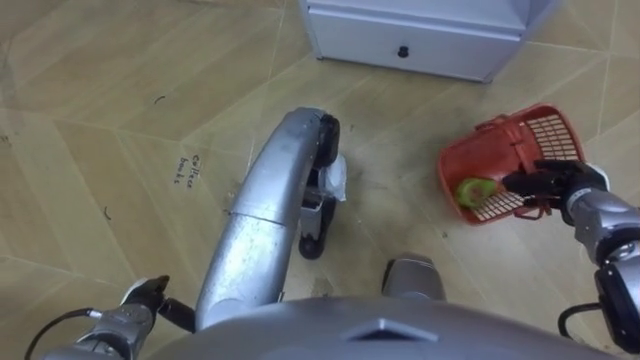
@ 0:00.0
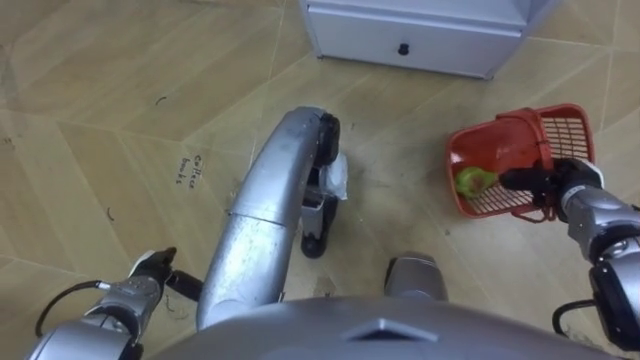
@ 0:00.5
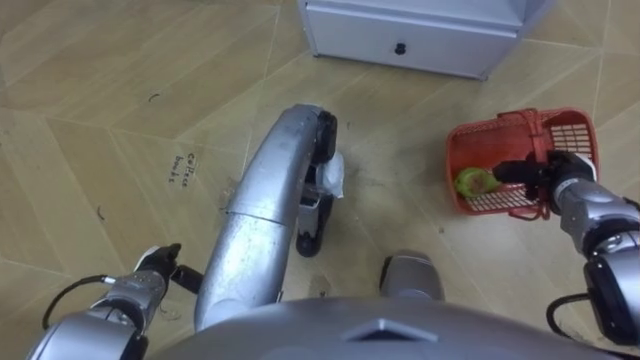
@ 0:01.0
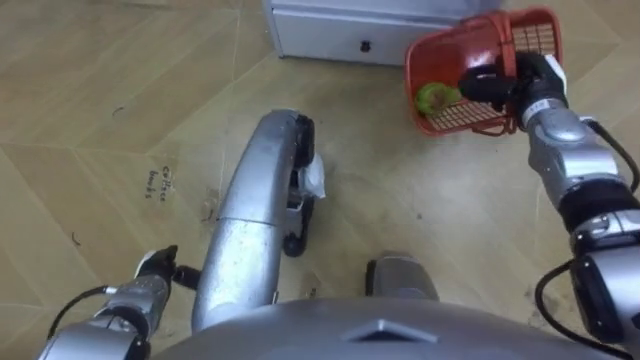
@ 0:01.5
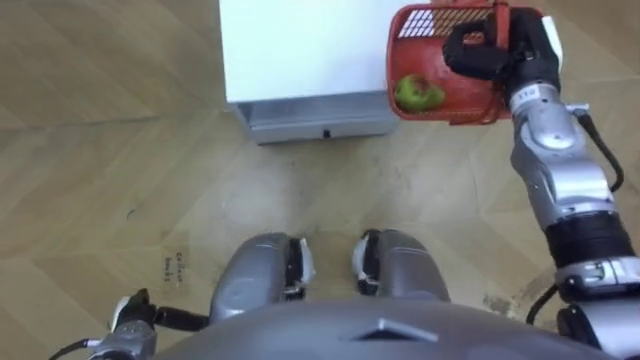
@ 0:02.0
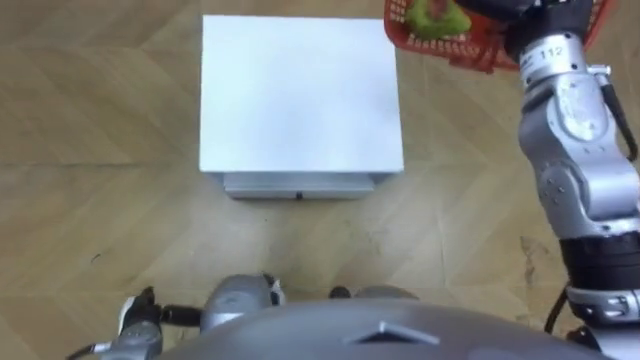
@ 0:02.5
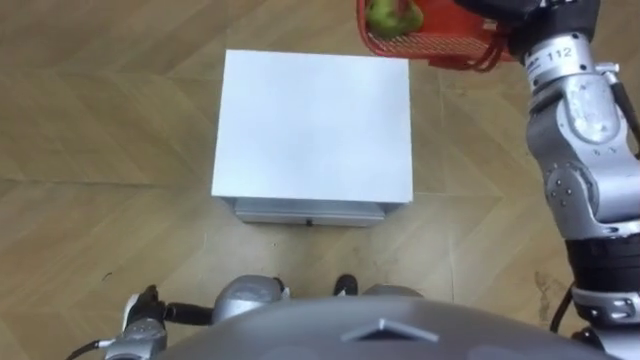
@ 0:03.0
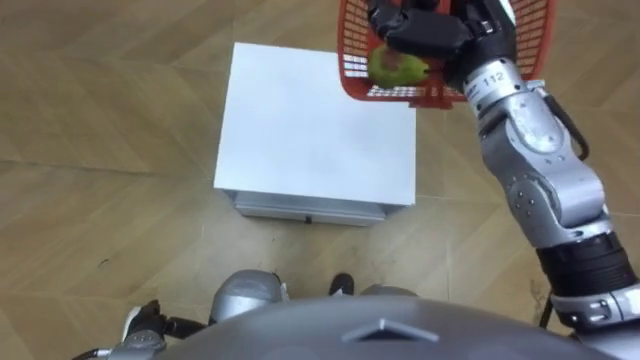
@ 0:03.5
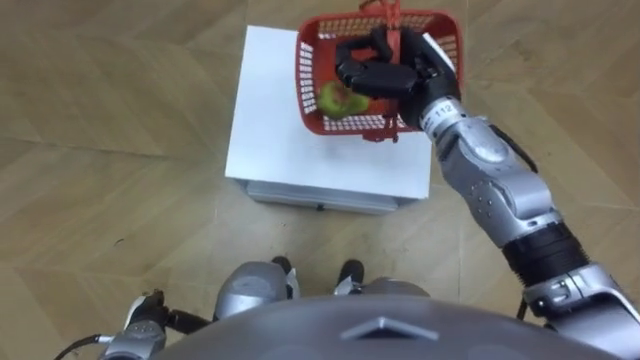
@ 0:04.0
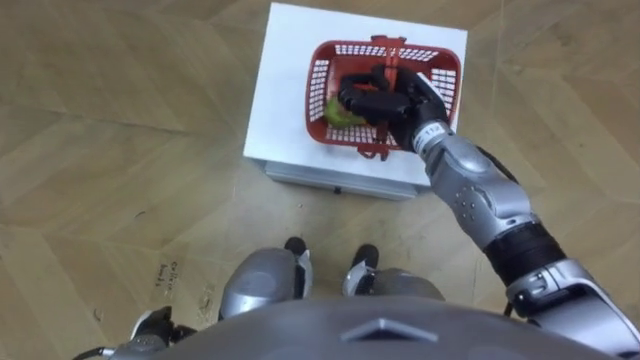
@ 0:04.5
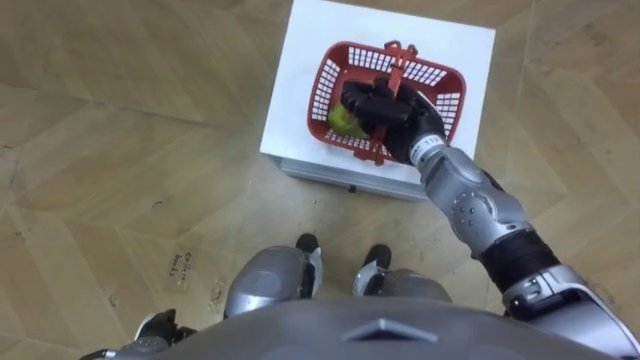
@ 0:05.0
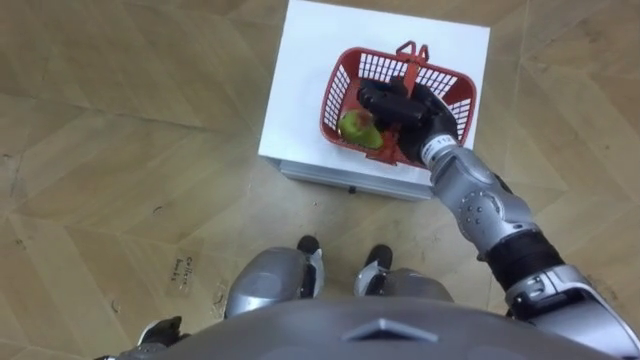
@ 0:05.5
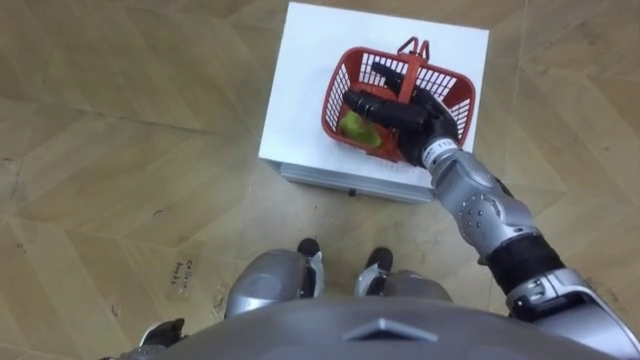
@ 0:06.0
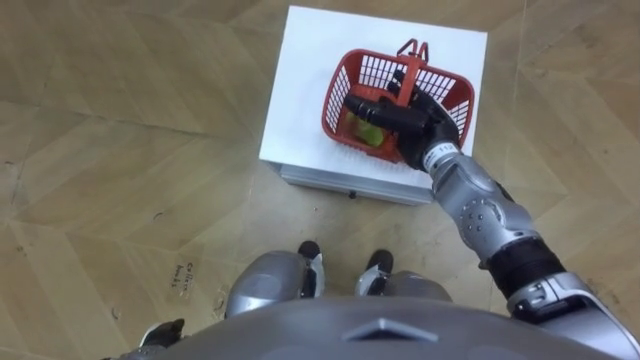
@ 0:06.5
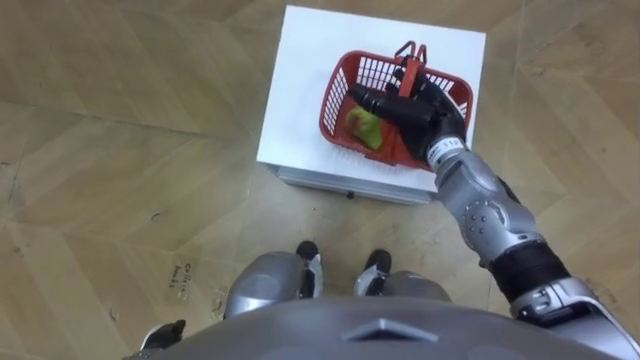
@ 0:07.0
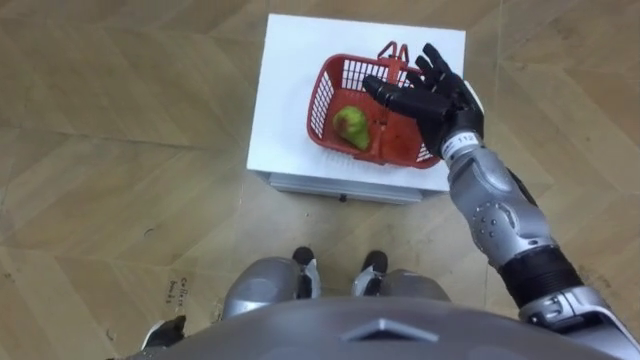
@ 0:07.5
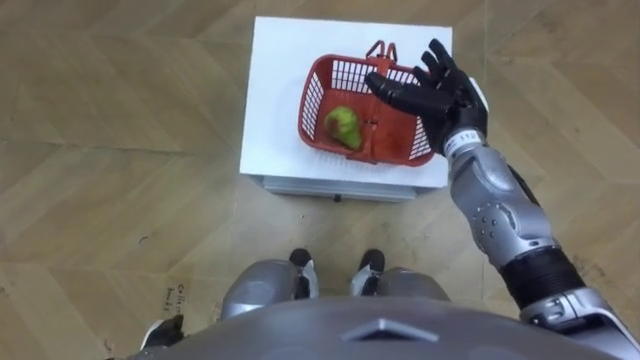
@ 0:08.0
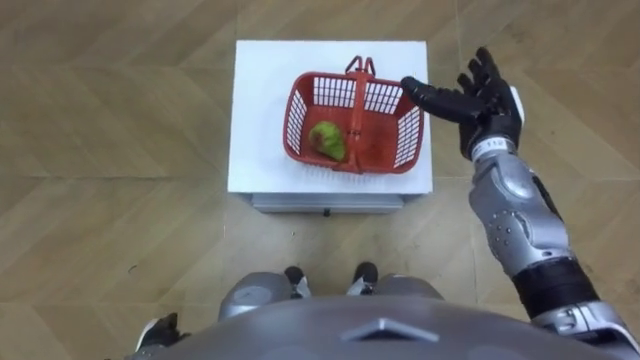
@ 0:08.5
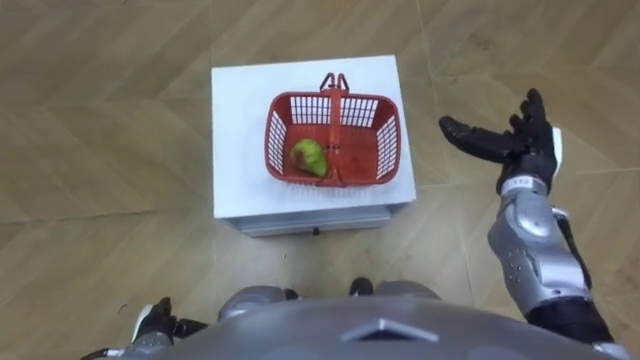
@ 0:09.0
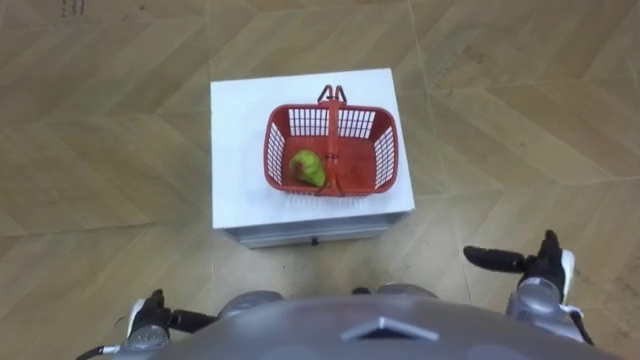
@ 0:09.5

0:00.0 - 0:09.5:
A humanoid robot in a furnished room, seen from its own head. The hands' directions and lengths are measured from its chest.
Task of the whole recording: Pick up the fruit basket from the floor and place it on the cabinet.
0:00.0 - 0:02.0: The robot's body swings roughly 15 degrees to its right. The left hand goes forward and returns, roughly 5 cm each way. Meanwhile the right hand travels upward, forward and to the left by approximately 20 cm.
0:04.0 - 0:05.5: The right hand shifts about 10 cm downward.
0:05.5 - 0:07.5: The right hand opens up.
0:07.5 - 0:09.5: The right hand goes approximately 25 cm backward, to the right and downward.

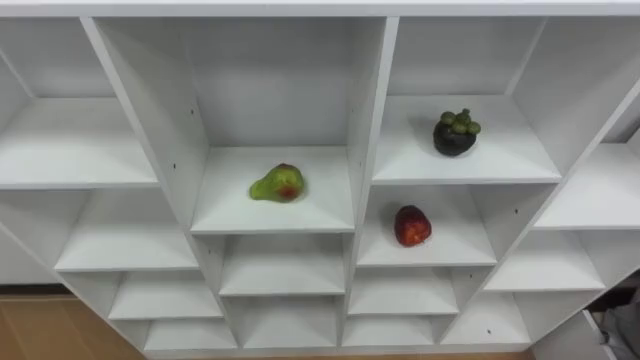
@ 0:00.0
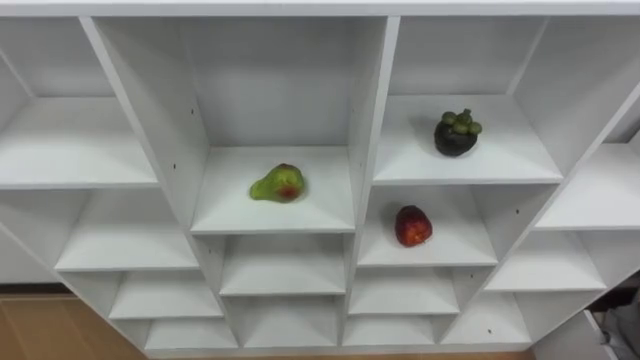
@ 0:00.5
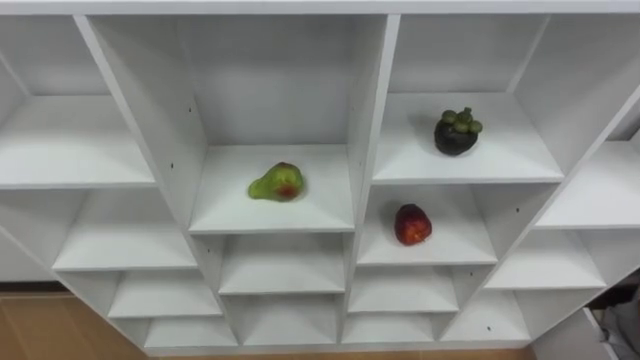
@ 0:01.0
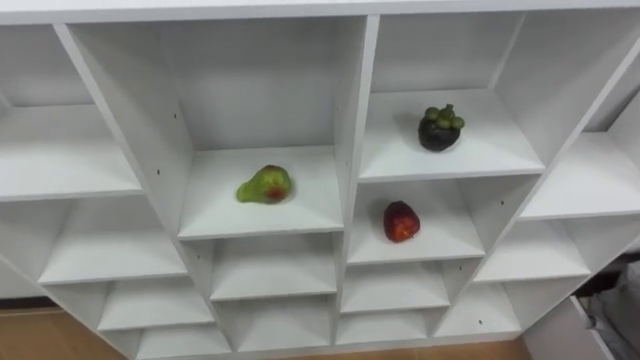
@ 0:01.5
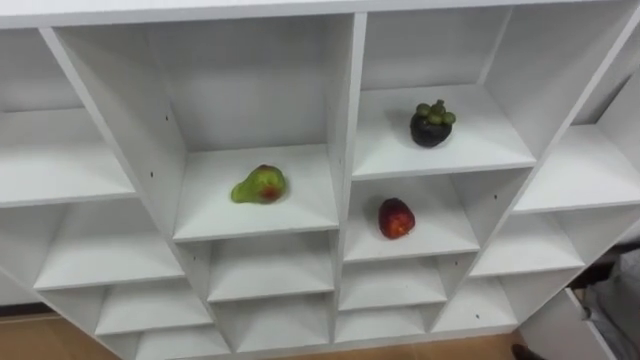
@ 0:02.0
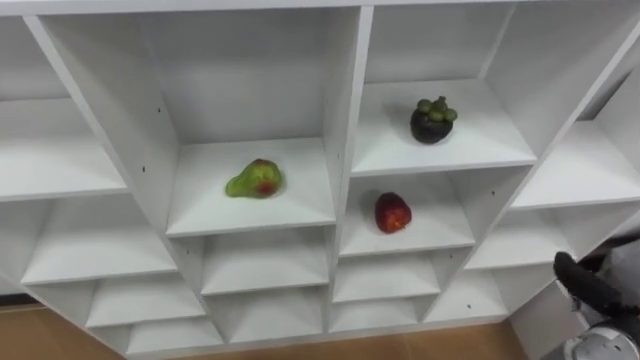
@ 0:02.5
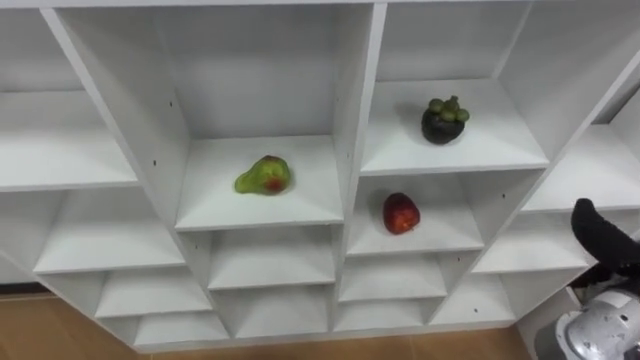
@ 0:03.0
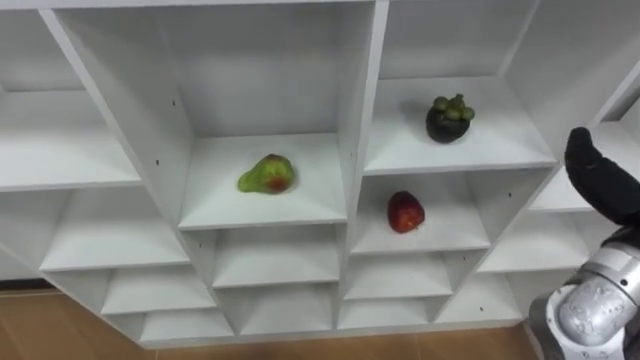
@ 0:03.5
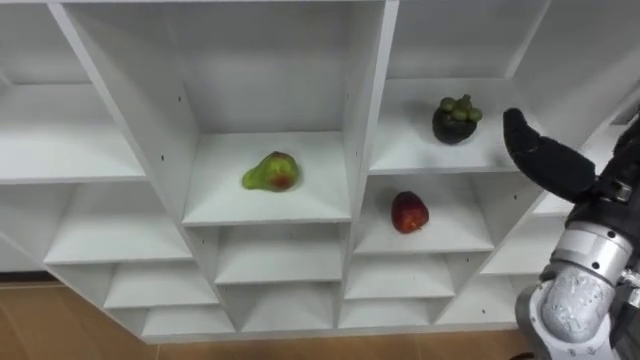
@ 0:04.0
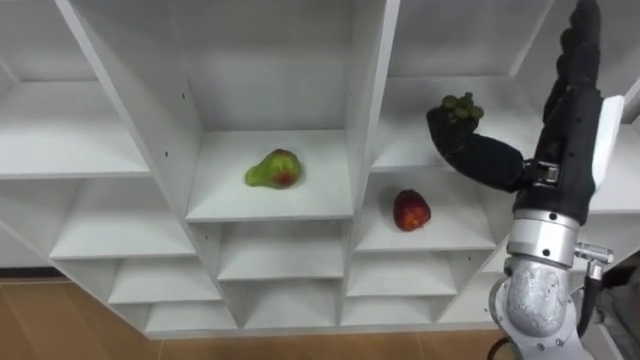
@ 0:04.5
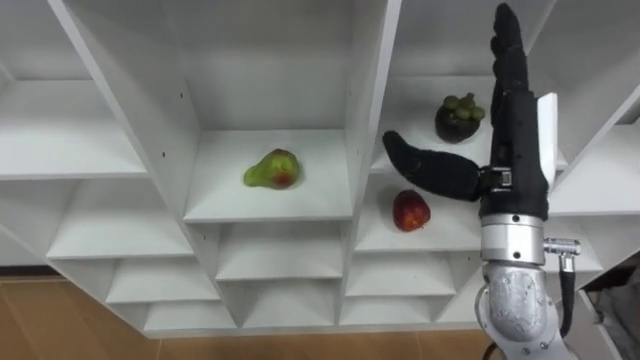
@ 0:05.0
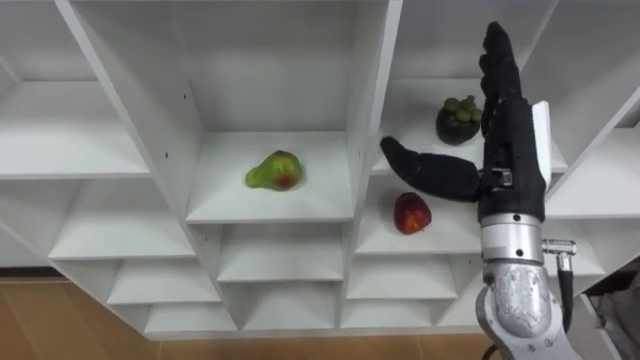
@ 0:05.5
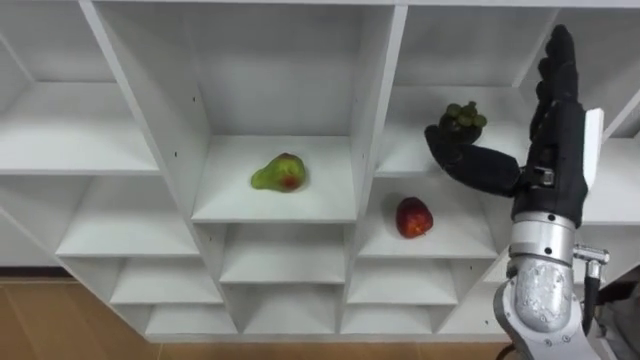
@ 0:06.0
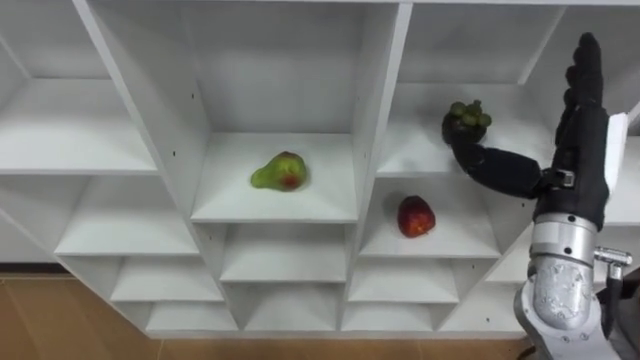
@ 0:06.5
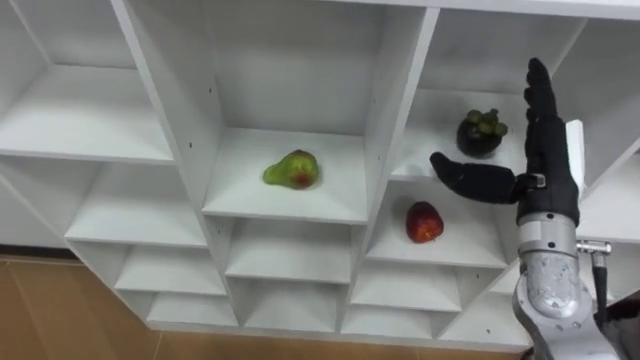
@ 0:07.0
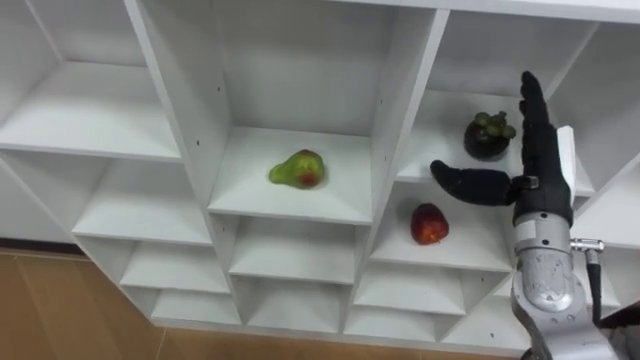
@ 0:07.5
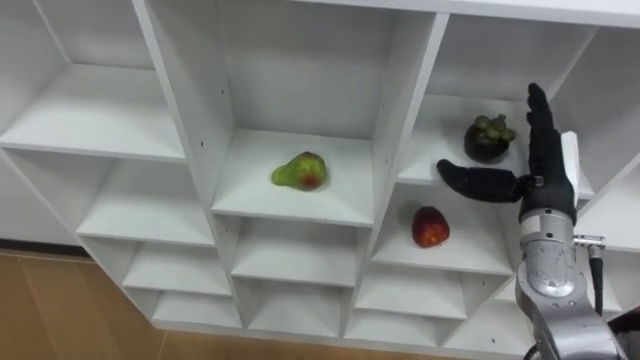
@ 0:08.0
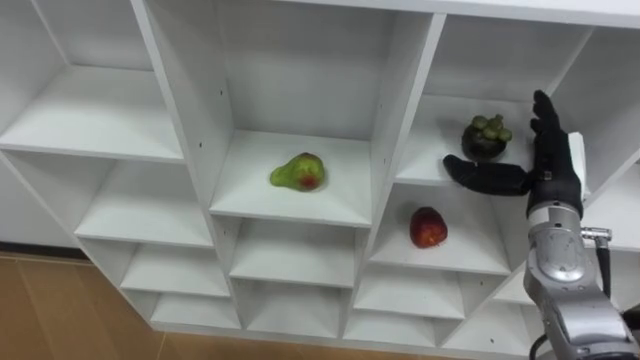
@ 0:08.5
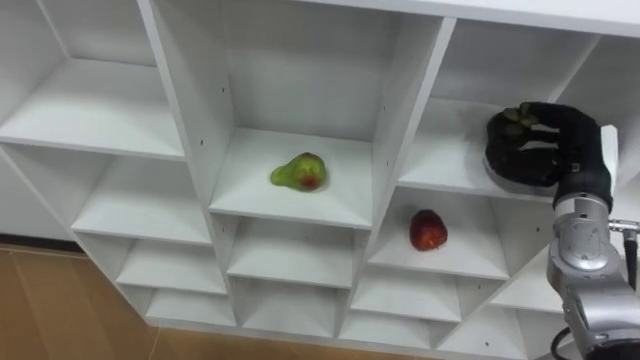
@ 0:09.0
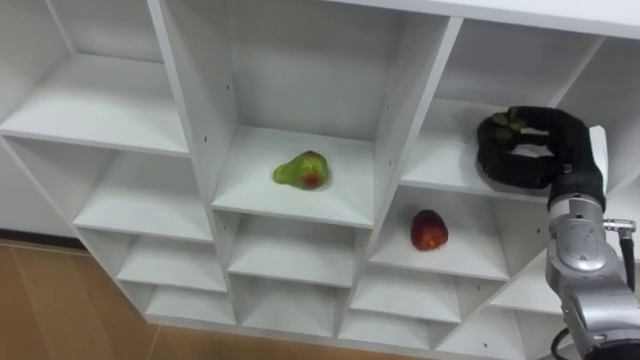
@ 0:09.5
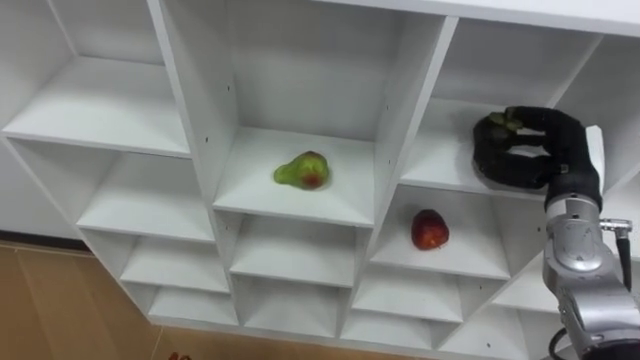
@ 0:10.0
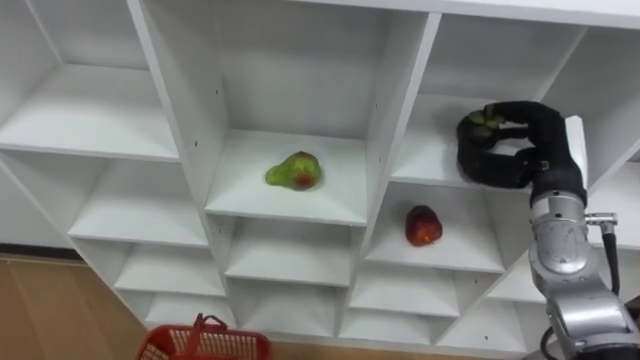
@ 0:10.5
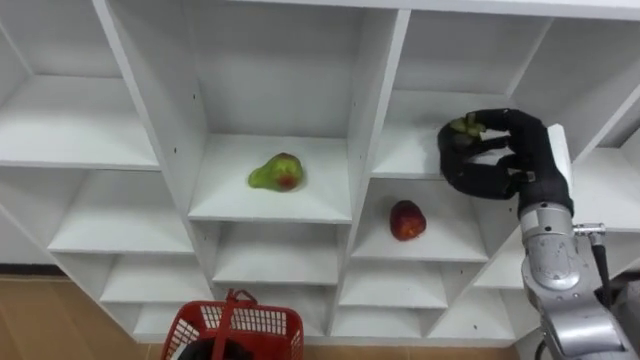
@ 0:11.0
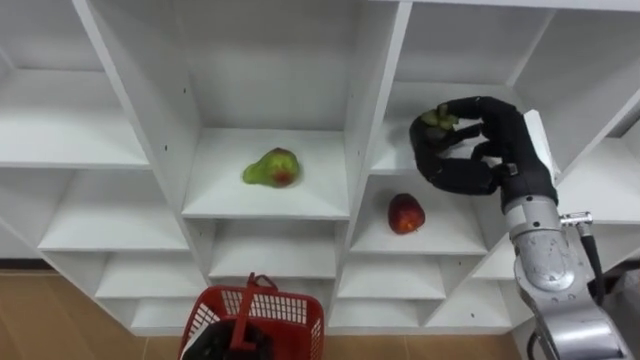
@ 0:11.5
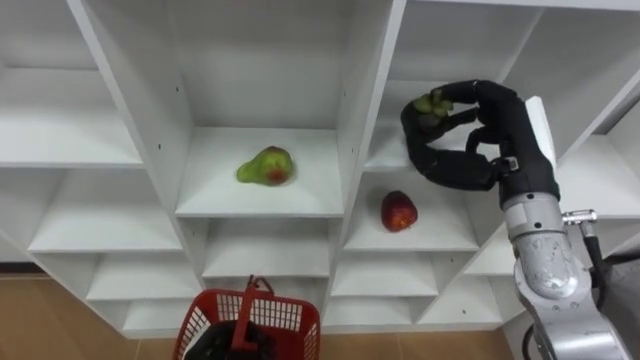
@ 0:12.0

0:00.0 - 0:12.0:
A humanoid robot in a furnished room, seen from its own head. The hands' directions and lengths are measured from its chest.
Task of the whole recording: Hold the basket and collect the fruits from 3 different cells of the closet into it.
0:04.0 - 0:06.0: The right hand goes some 5 cm to the left.
0:06.0 - 0:08.0: The right hand moves downward, approximately 5 cm.
0:08.0 - 0:10.0: The right hand closes.
0:10.0 - 0:12.0: The right hand heads to the left and upward, covering some 10 cm.
